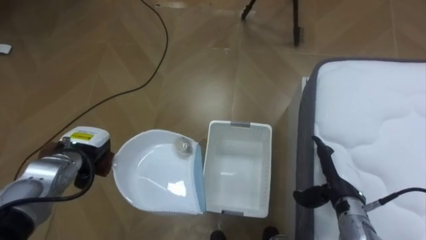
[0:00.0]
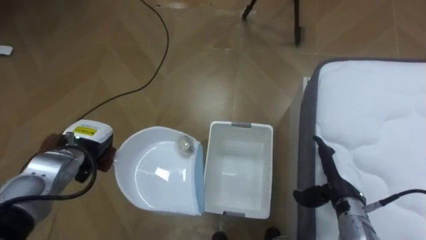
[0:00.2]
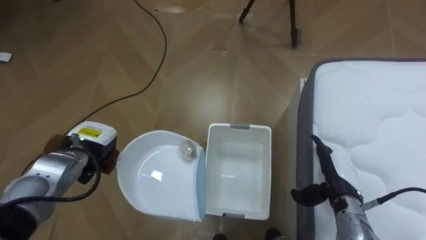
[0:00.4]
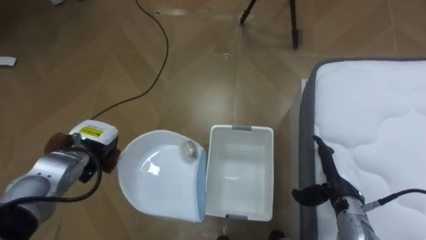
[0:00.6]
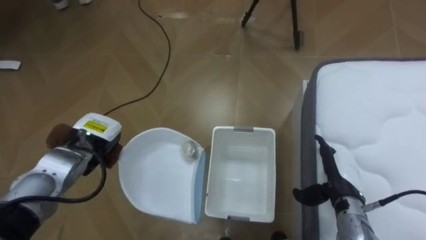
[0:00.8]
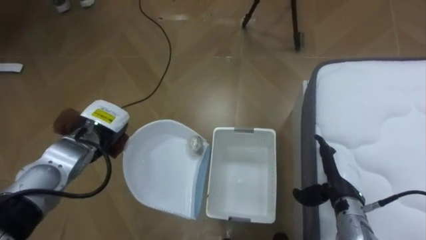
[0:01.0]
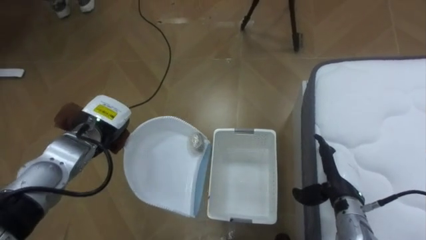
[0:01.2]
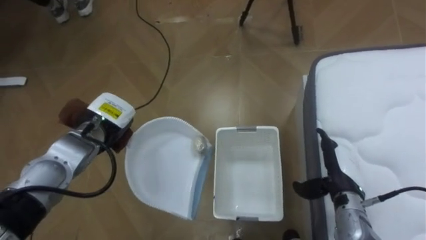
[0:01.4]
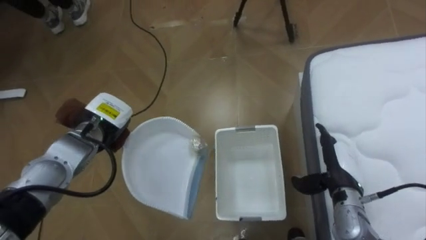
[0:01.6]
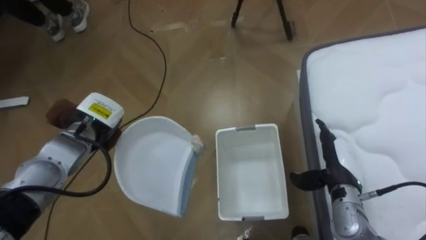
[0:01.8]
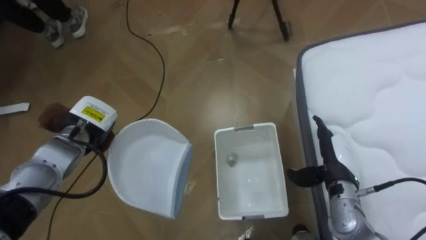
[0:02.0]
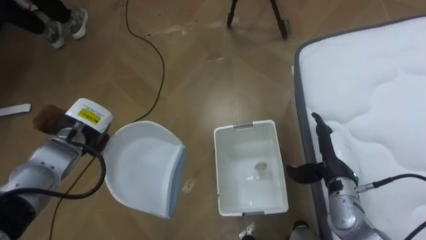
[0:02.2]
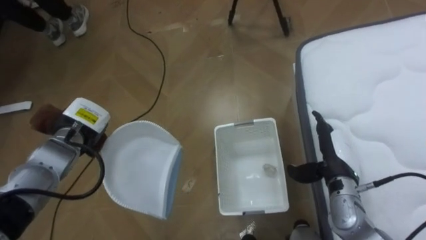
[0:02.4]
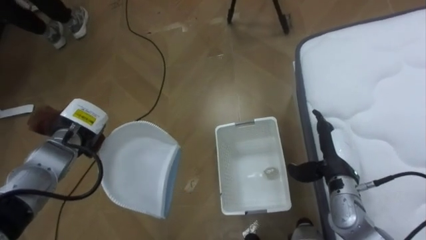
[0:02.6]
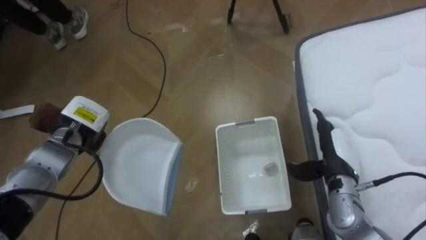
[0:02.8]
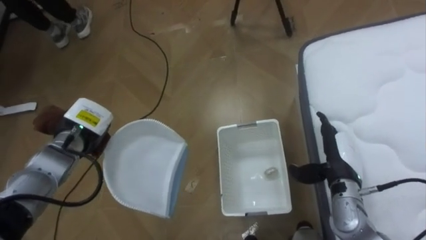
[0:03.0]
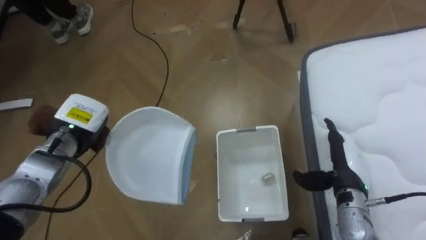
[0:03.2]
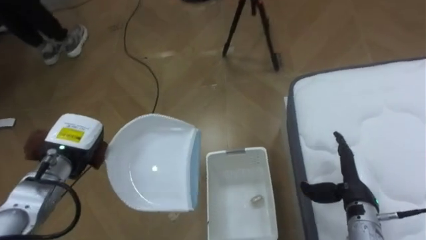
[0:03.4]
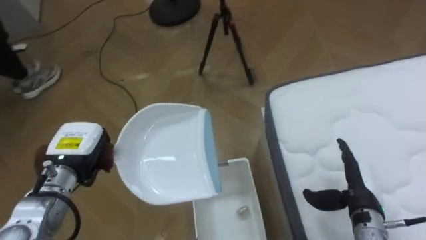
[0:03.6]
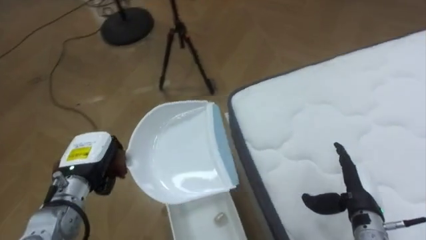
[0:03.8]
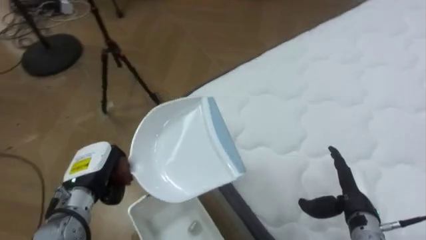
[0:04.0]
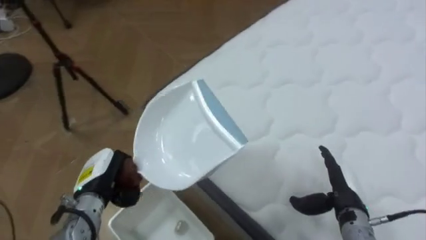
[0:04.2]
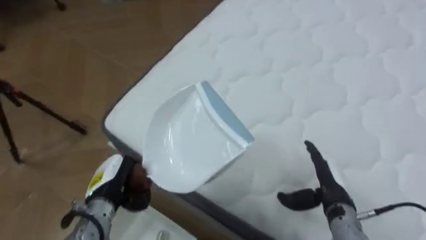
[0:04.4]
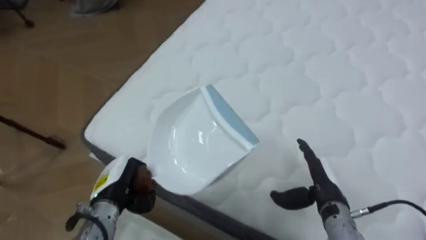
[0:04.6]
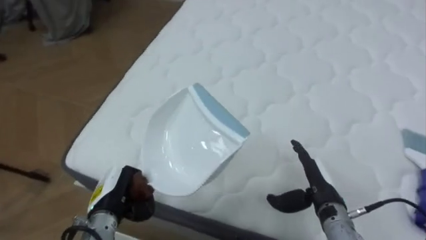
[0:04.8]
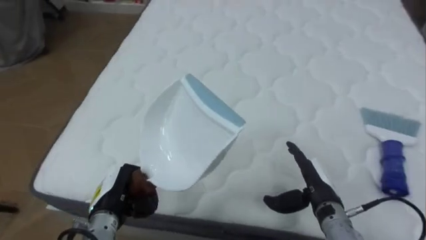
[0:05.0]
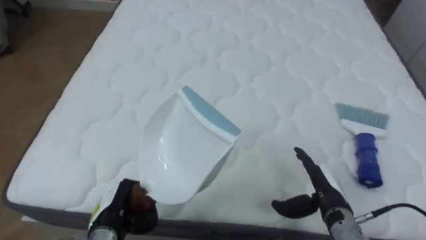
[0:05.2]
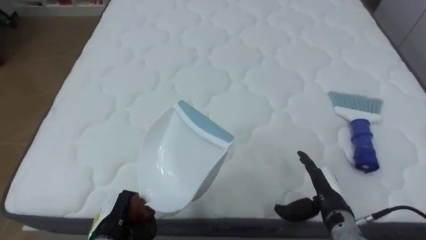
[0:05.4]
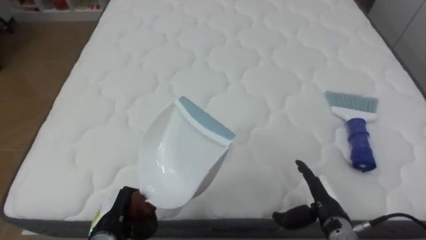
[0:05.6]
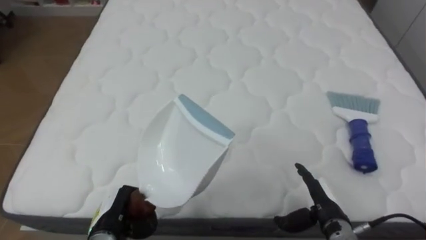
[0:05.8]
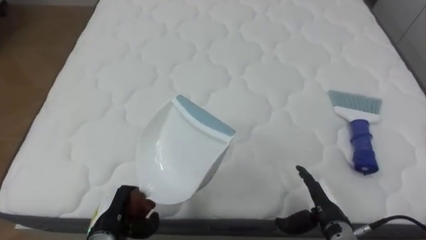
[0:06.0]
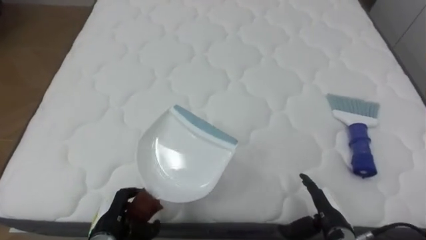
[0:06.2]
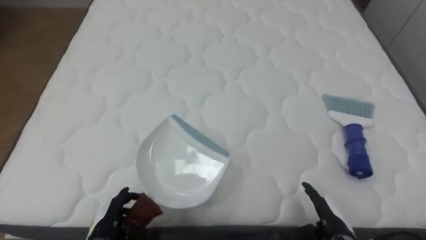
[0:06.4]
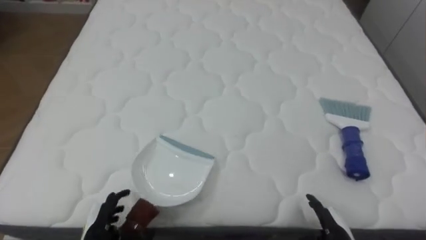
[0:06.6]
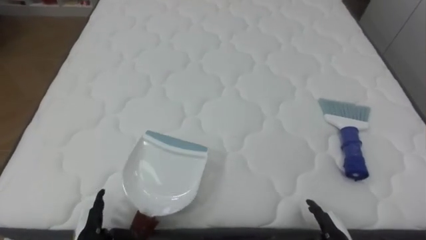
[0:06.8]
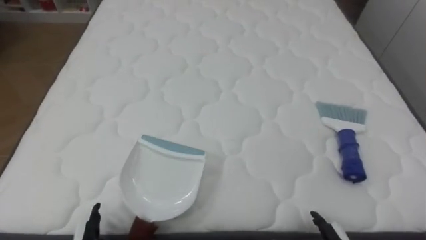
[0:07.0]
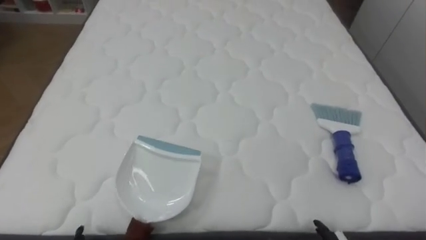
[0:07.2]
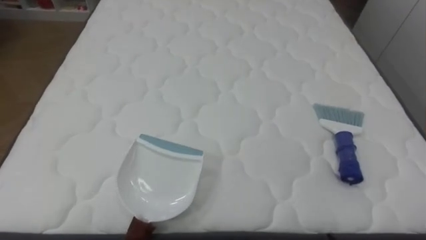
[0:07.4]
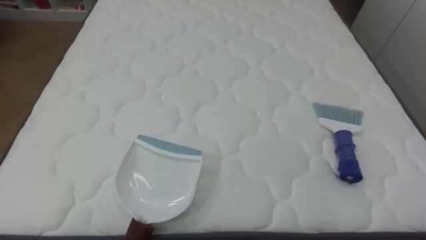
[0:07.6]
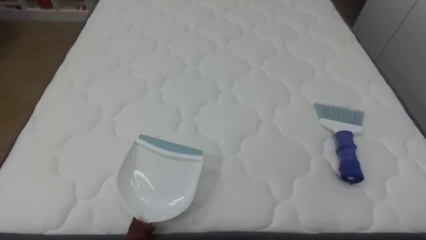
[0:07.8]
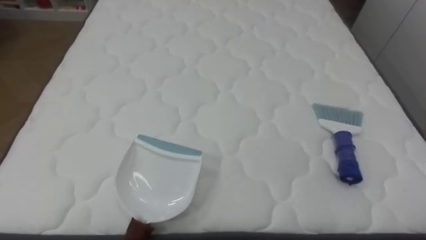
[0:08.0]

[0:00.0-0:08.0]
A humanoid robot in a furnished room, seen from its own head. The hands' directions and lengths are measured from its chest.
Task of the whole recording: Pick up the brush on your right and the dustpan on your left. Use the brush to sweep the crumpled paper on the bed into the dustpan, then turn left and empty it into the basket.
0:00.0 to 0:01.6: The left hand goes some 5 cm to the right and upward.
0:03.2 to 0:04.8: The robot's body swings about 85 degrees to its right. The left hand heads backward, downward and to the right, covering approximately 15 cm, while the right hand ends up some 5 cm from where it was.
0:04.8 to 0:06.4: The robot's body swings approximately 15 degrees to its right. The left hand moves downward, about 5 cm, and opens its fingers; the right hand heads downward and backward, covering about 10 cm.

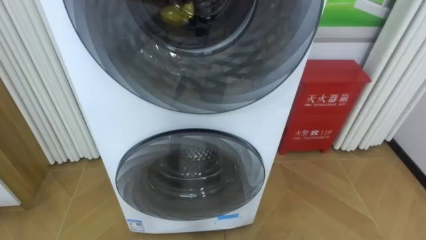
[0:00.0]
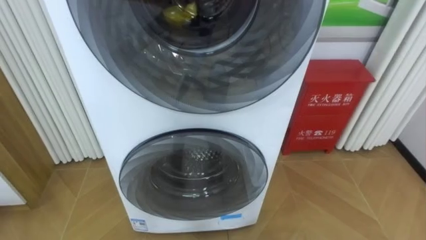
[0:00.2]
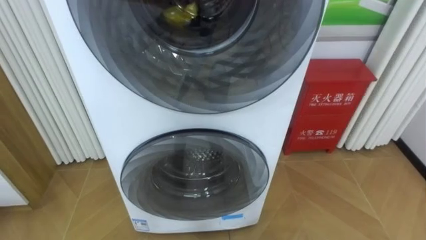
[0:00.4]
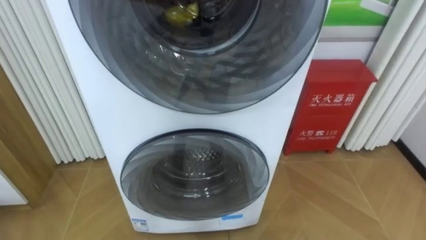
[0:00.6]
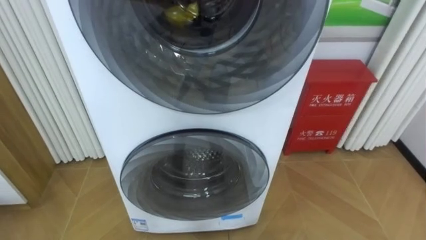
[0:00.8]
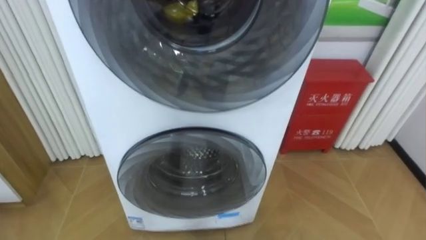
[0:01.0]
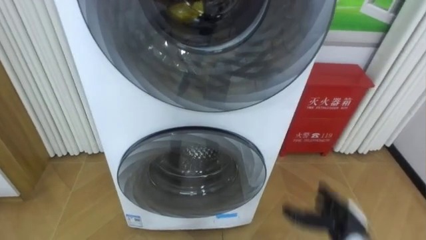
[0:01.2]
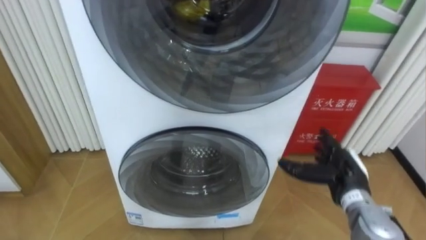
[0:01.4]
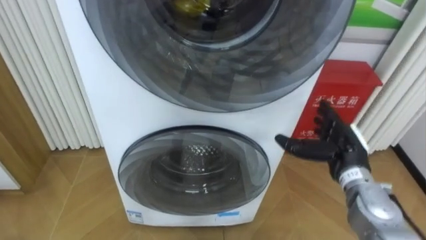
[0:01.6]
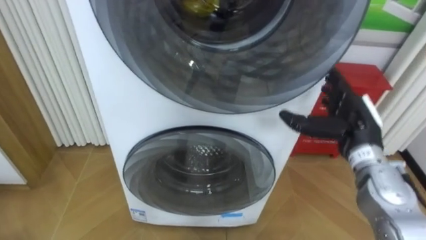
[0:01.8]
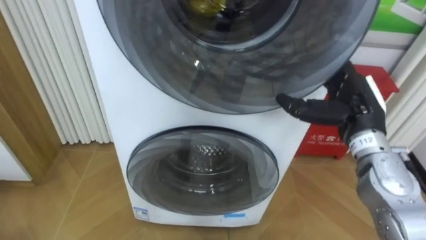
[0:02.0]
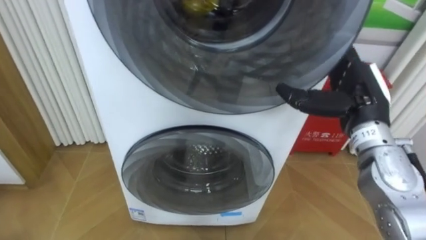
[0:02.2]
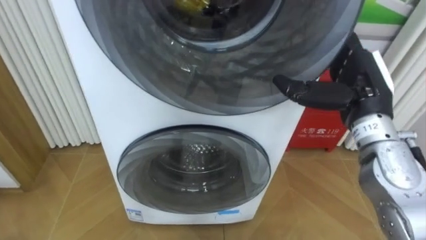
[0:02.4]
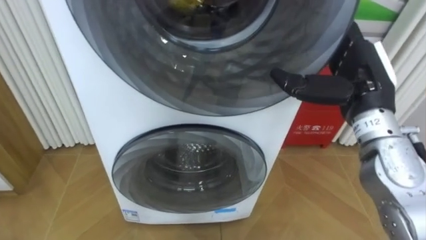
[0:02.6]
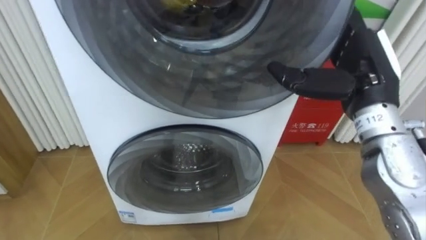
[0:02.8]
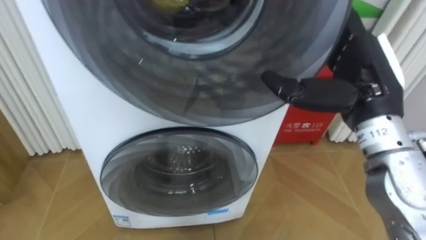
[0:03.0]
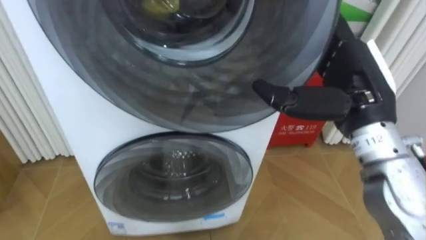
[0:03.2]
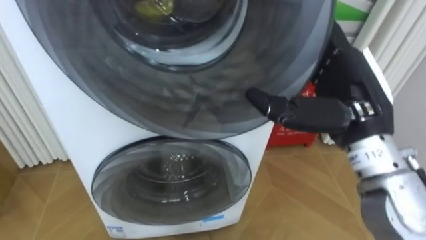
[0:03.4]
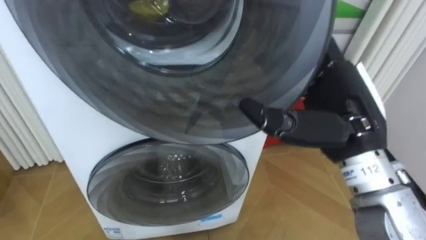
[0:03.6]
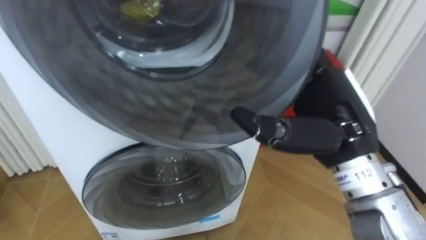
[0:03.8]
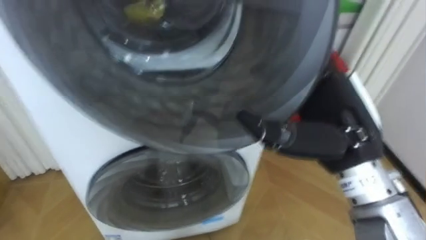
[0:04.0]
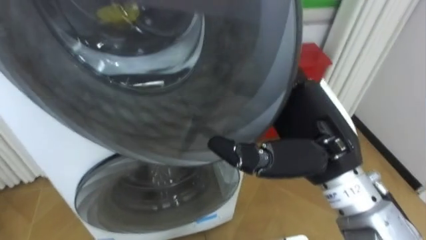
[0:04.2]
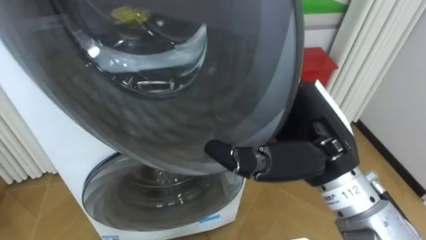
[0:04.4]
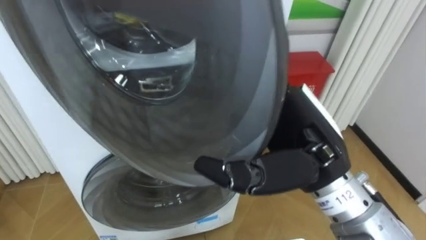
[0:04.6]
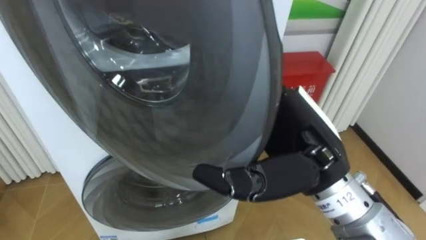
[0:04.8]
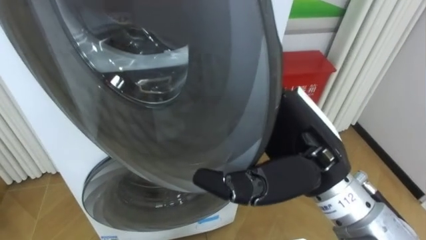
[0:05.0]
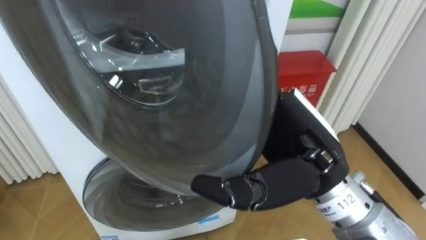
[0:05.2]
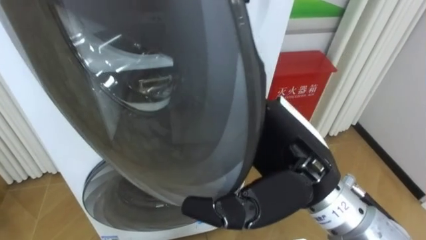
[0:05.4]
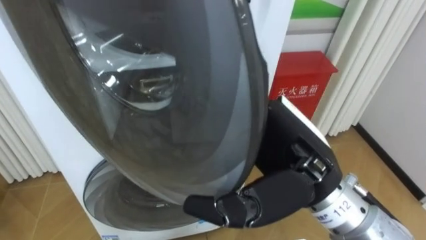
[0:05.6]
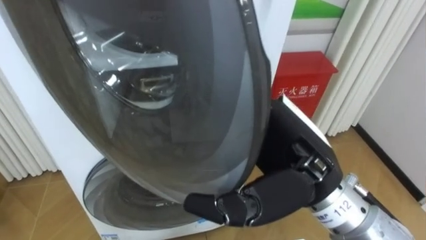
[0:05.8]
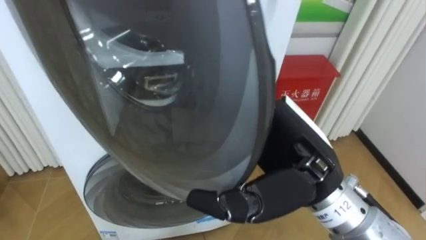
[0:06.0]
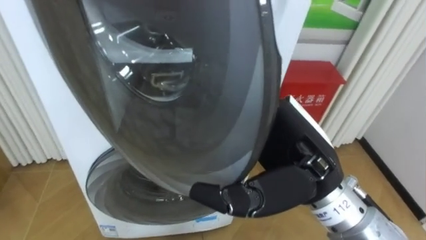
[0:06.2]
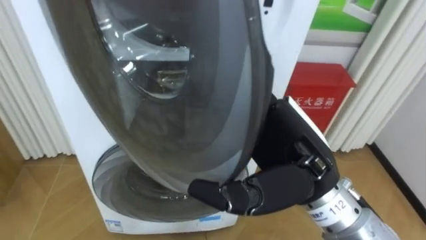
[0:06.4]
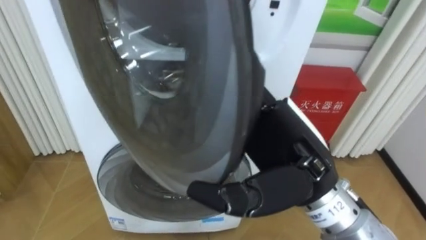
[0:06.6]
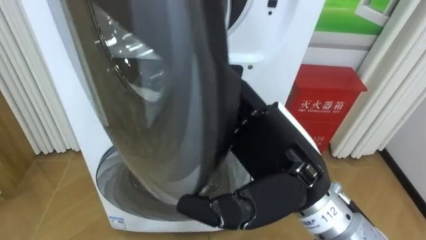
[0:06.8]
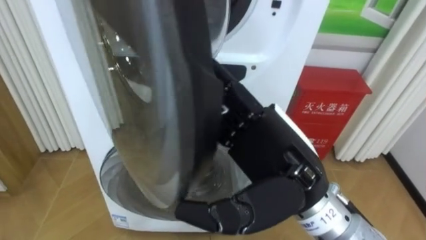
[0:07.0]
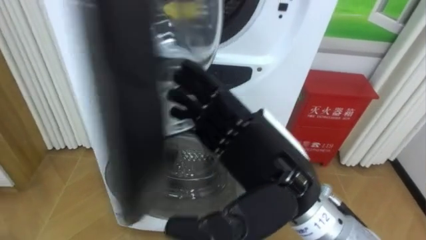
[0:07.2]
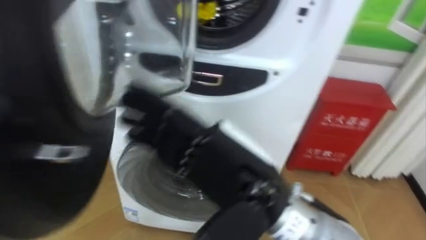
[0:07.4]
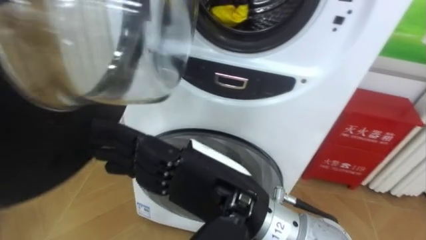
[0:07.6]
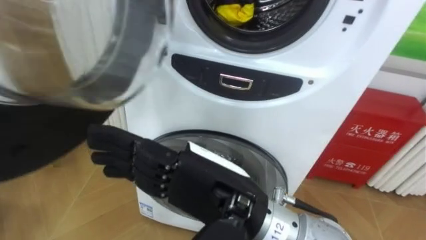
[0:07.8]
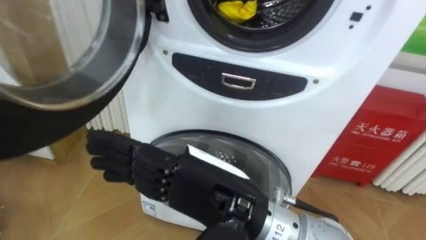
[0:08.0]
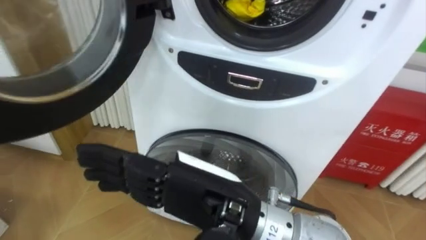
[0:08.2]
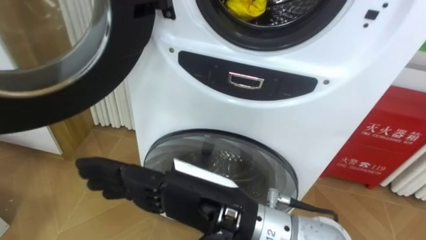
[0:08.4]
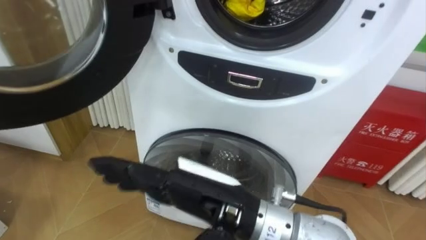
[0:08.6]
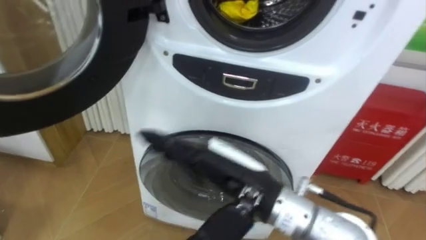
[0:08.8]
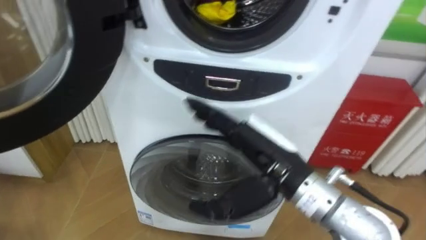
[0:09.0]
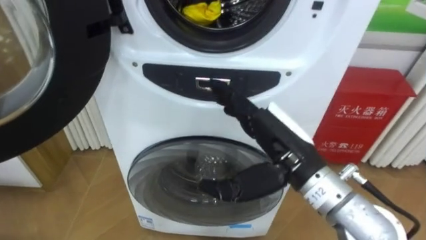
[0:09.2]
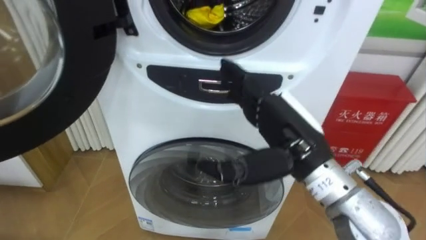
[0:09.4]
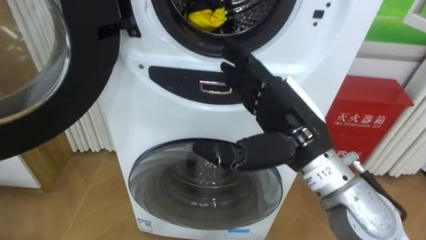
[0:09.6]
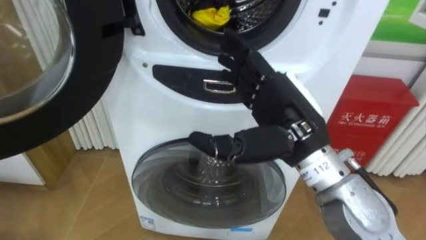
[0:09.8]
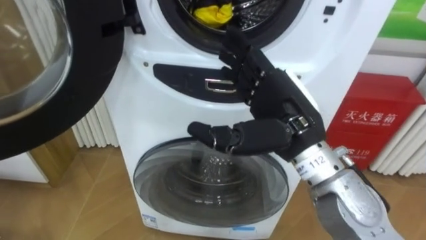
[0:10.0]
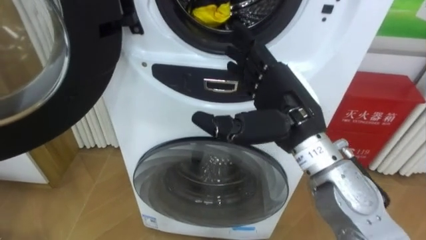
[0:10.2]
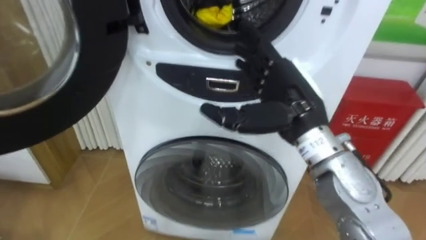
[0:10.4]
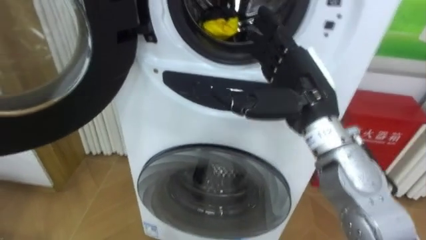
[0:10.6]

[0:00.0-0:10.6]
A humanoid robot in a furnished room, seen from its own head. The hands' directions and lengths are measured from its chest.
Task of the whole recording: Open the washing machine door, take out the yellow clothes, place them in the box on the right, and close the washing machine door.
0:01.6 to 0:03.0: The right hand goes roughly 20 cm upward.
0:03.0 to 0:04.6: The right hand is displaced to the left and backward by about 10 cm.
0:06.0 to 0:07.6: The right hand travels to the left by approximately 10 cm.
0:07.6 to 0:09.0: The right hand is displaced to the right and forward by roughly 10 cm.
0:09.0 to 0:10.6: The right hand shifts approximately 10 cm forward and upward.
